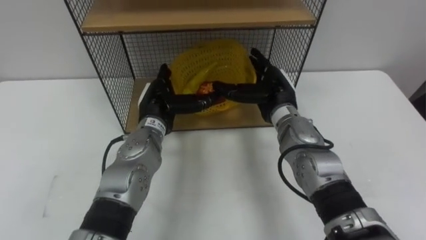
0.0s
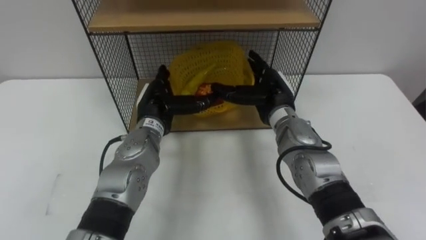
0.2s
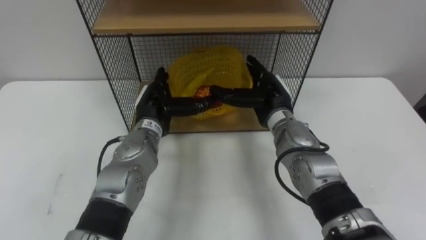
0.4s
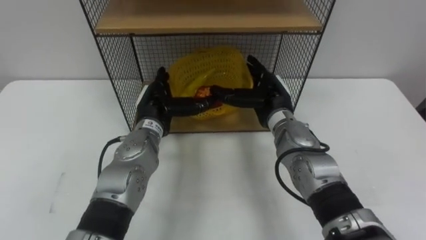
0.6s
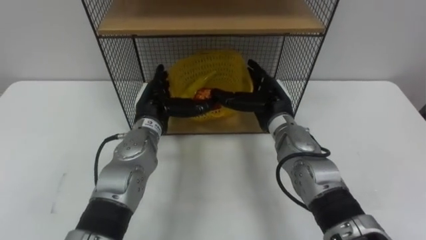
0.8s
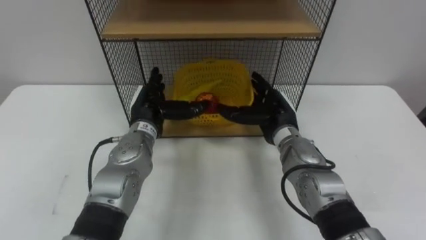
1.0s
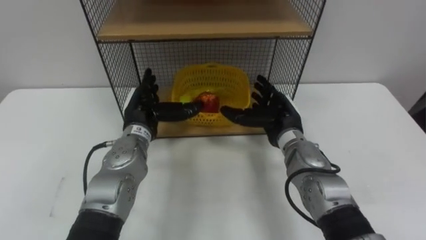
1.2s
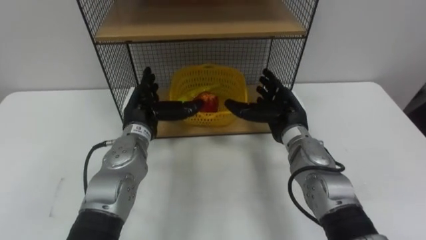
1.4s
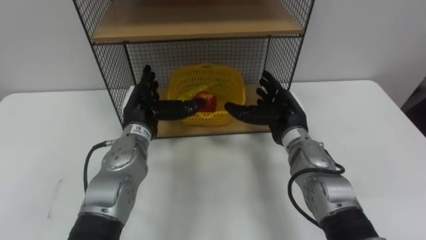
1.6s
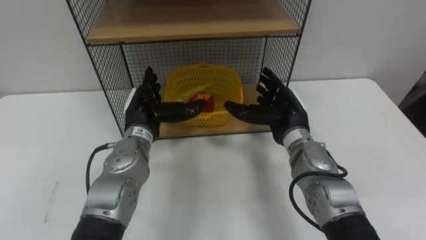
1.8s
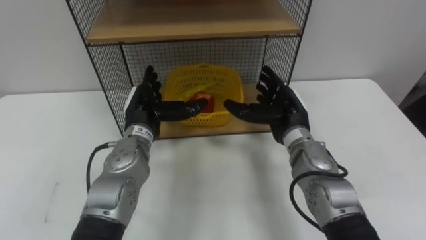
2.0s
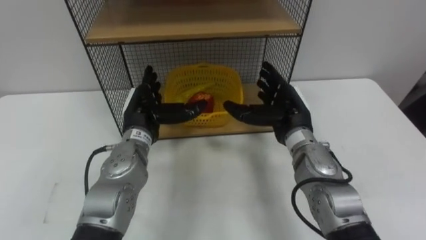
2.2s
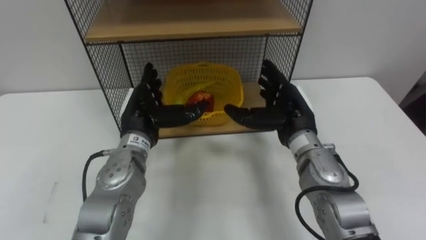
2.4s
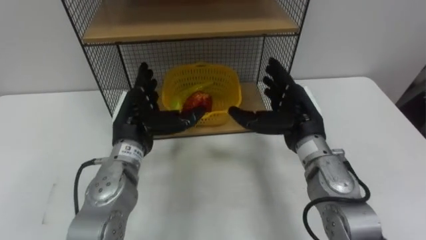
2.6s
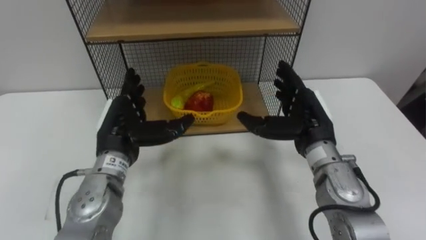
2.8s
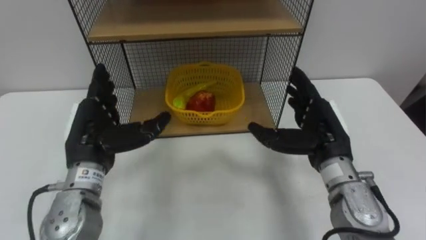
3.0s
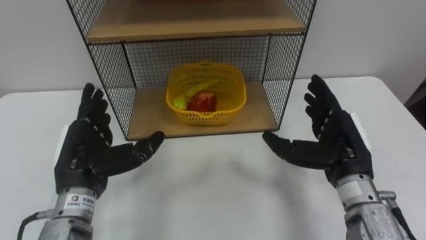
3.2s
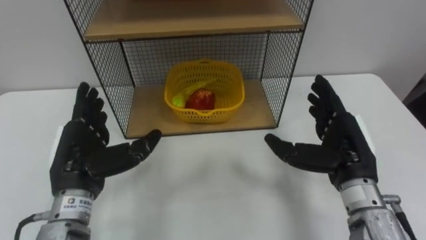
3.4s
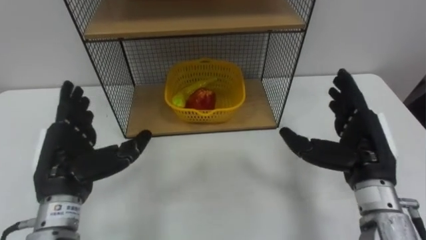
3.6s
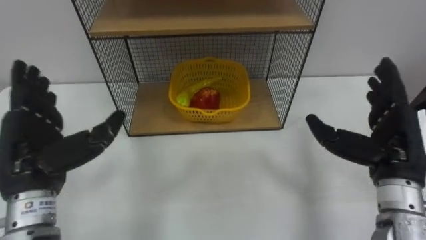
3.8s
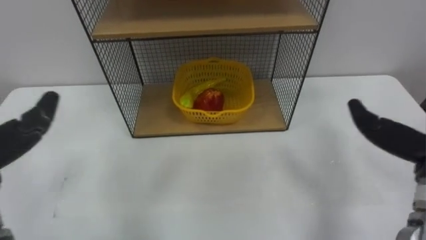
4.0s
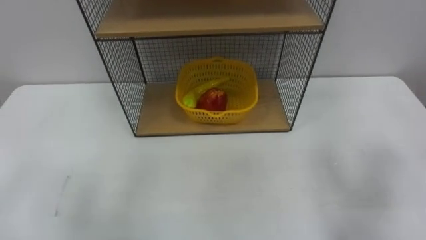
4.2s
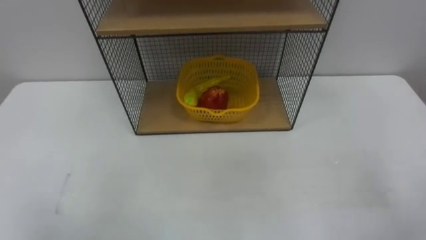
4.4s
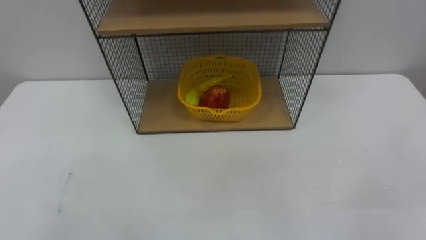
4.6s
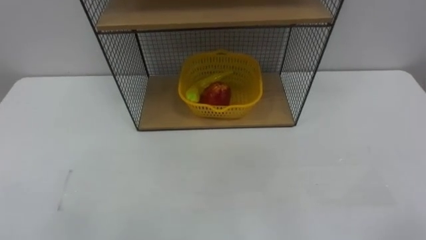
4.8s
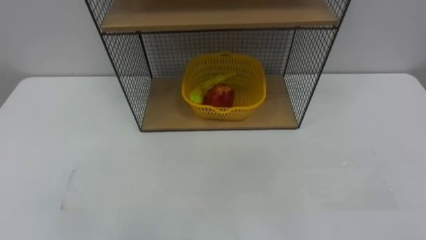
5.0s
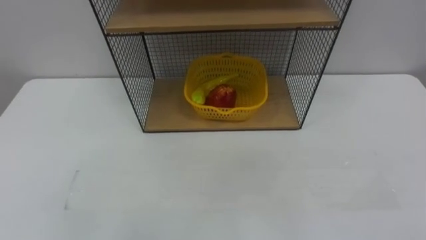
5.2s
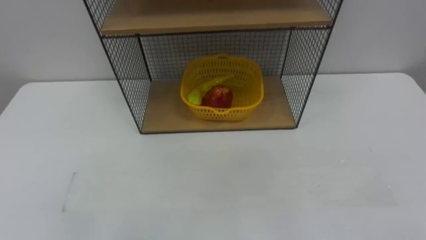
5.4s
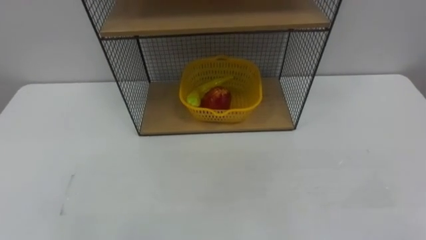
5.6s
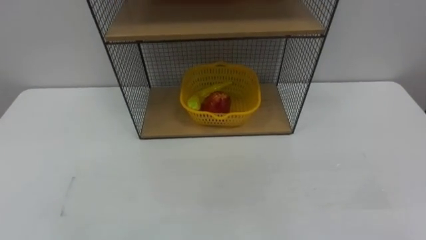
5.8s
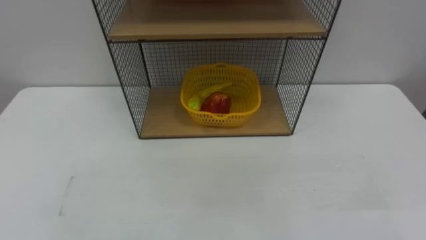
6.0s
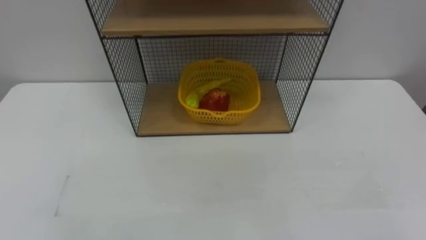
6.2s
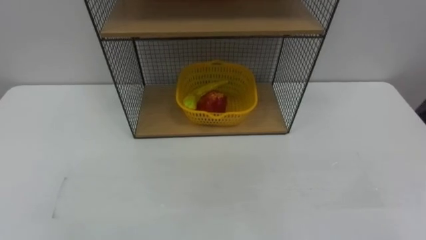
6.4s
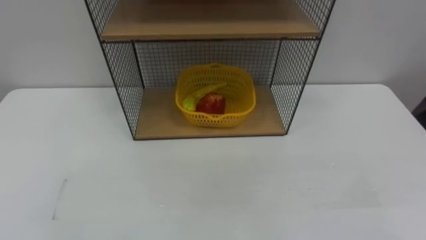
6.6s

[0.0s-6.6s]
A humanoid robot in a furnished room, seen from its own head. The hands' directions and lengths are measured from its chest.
Task of the whole recording: Put the fruit on the table into the basket, then place the basket on the shelf.
0.0s to 1.6s: The right hand changes place by roughly 5 cm.
1.6s to 3.2s: The right hand heads backward, to the right and upward, covering some 15 cm, while the left hand goes some 15 cm backward and to the left.

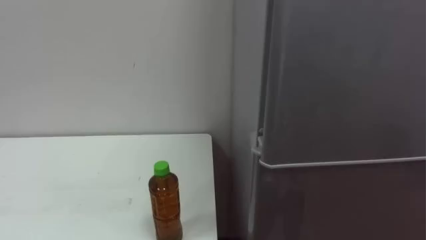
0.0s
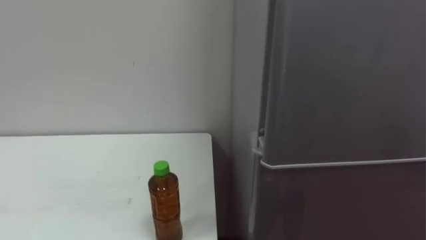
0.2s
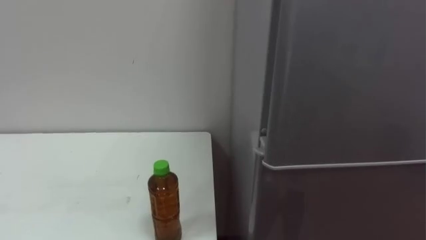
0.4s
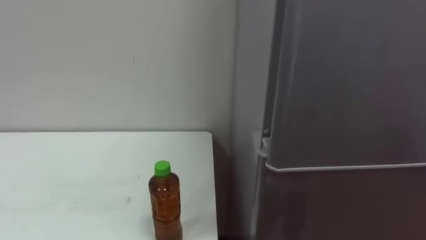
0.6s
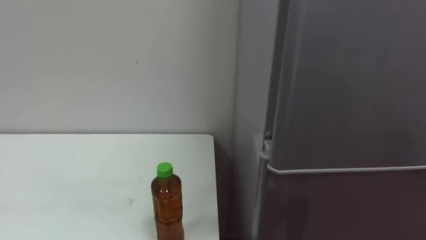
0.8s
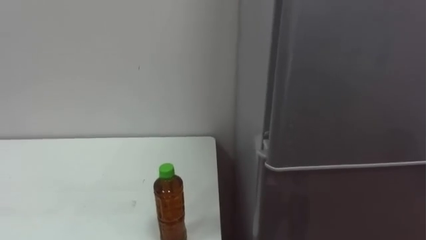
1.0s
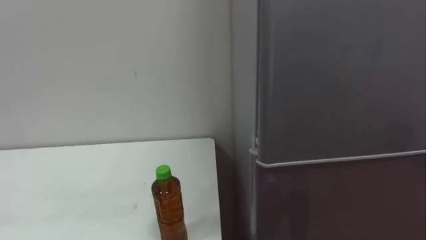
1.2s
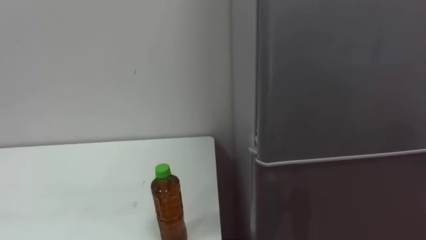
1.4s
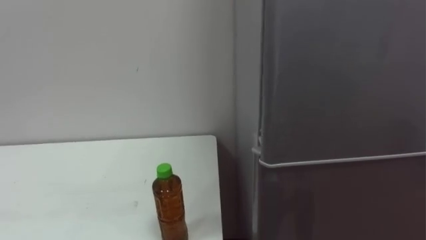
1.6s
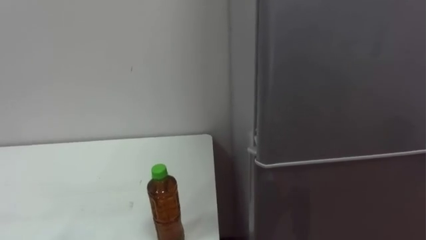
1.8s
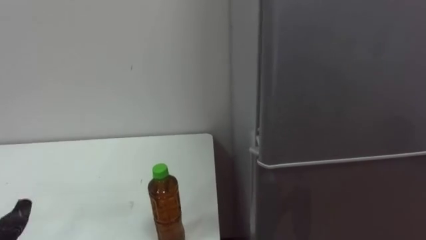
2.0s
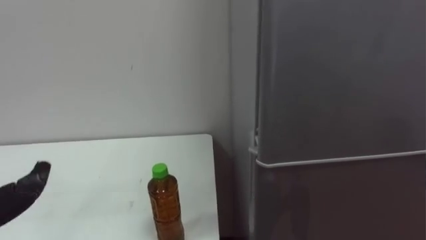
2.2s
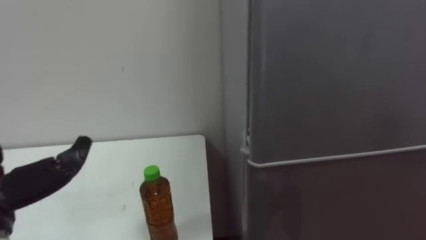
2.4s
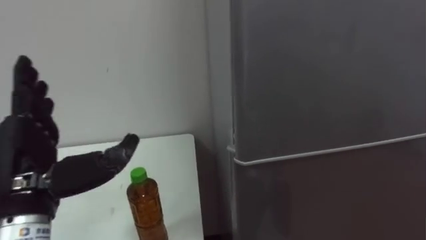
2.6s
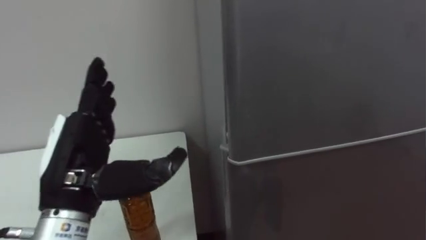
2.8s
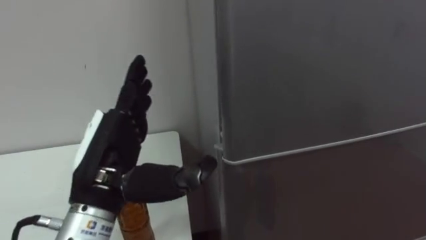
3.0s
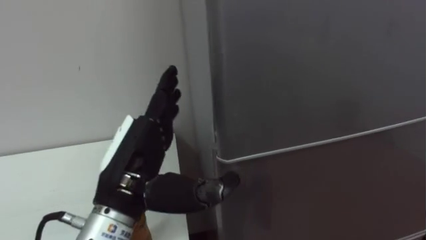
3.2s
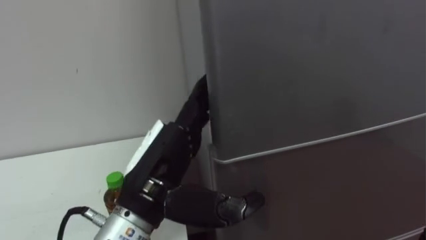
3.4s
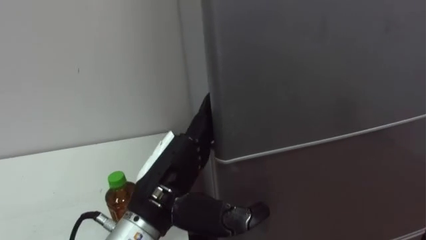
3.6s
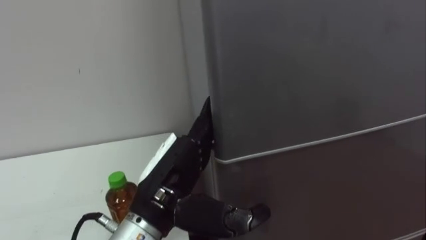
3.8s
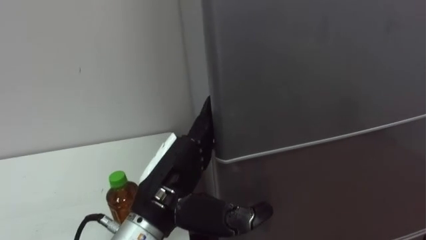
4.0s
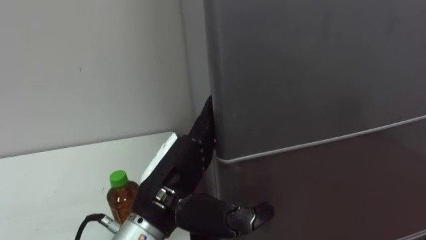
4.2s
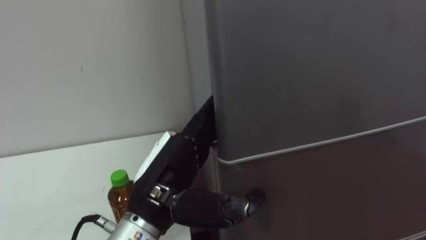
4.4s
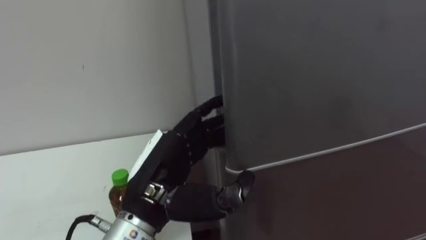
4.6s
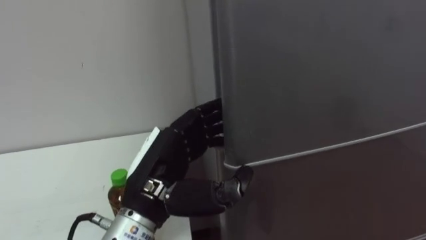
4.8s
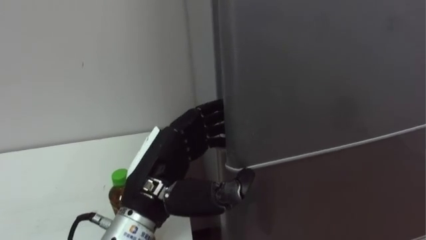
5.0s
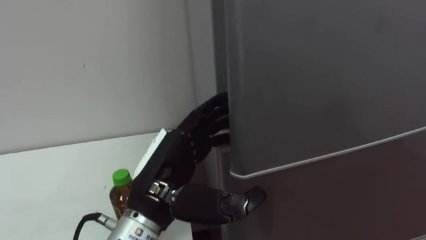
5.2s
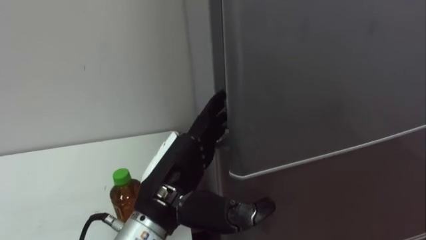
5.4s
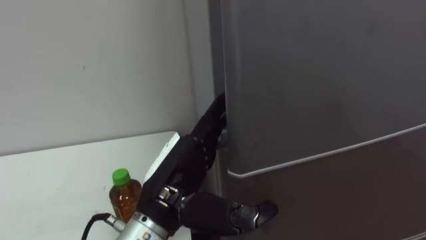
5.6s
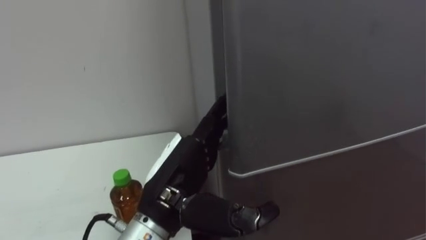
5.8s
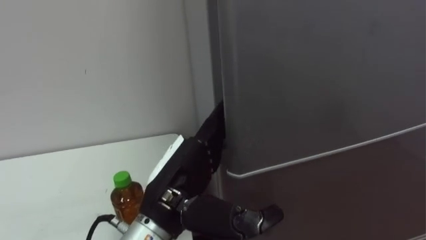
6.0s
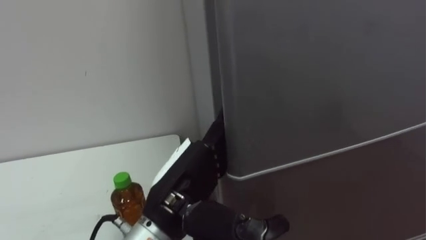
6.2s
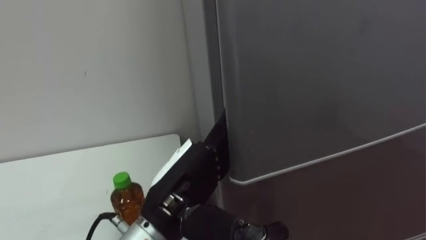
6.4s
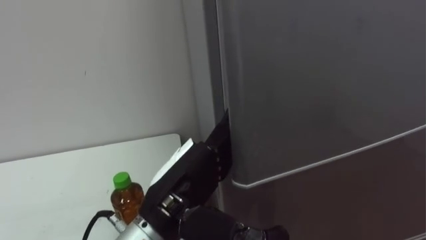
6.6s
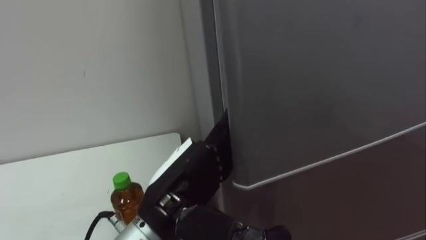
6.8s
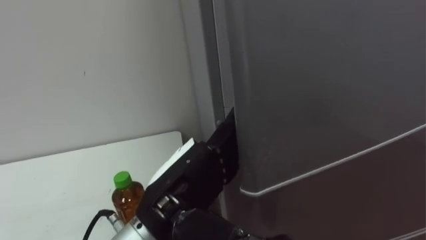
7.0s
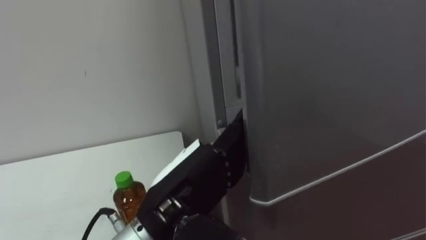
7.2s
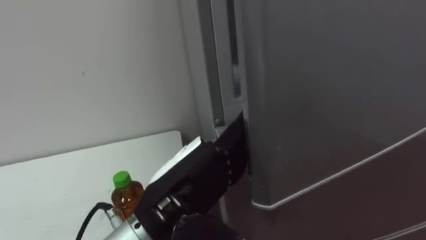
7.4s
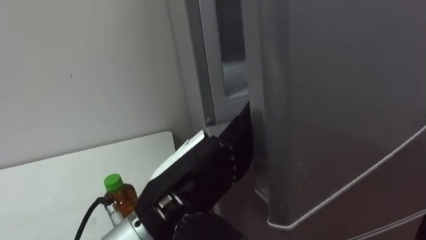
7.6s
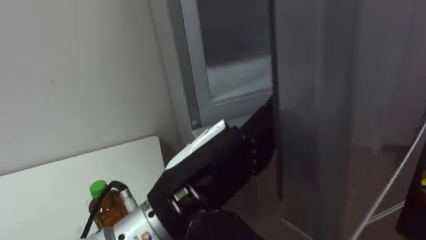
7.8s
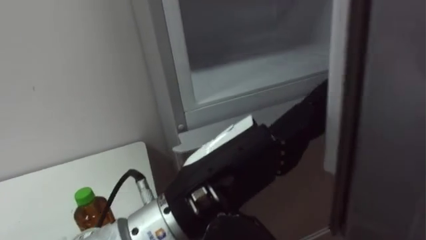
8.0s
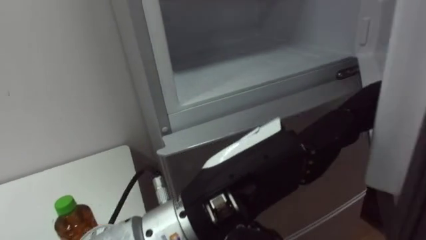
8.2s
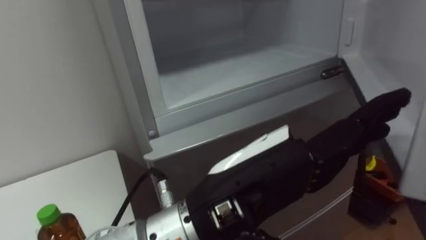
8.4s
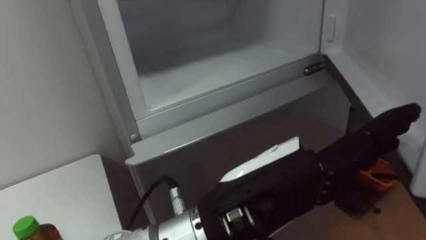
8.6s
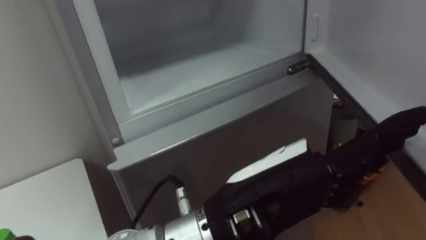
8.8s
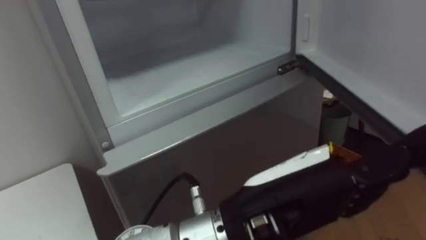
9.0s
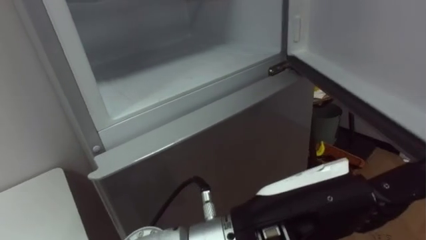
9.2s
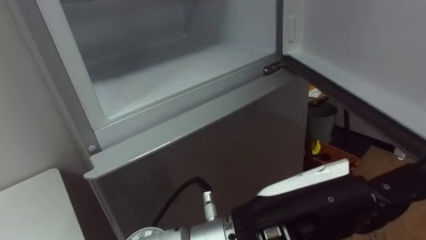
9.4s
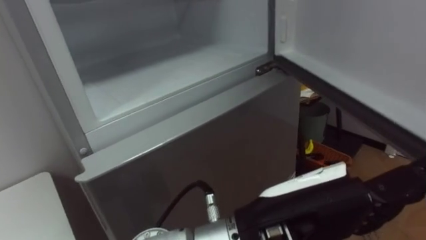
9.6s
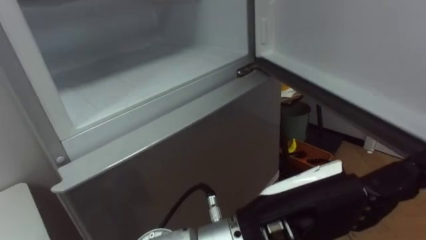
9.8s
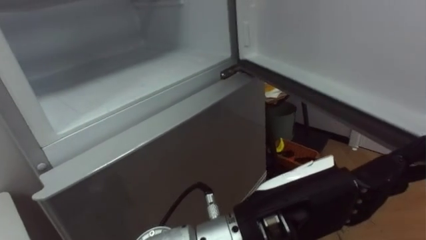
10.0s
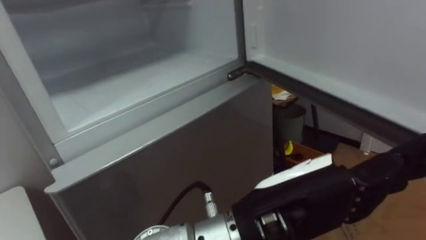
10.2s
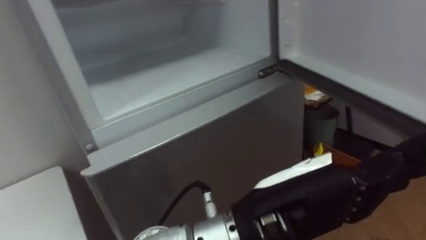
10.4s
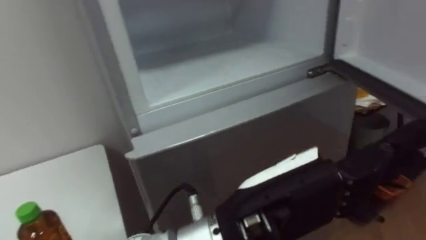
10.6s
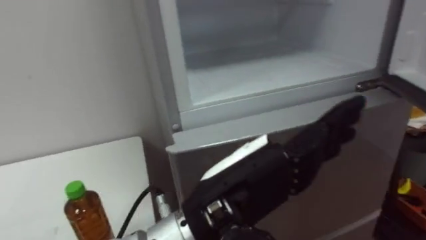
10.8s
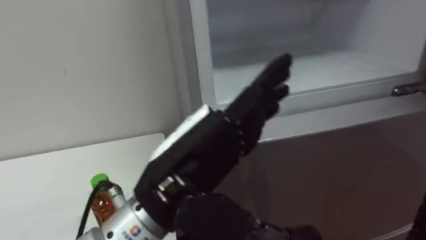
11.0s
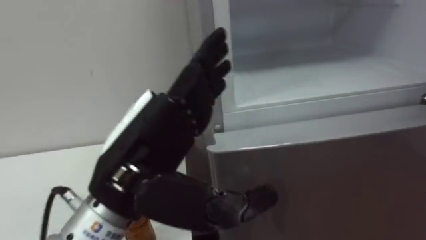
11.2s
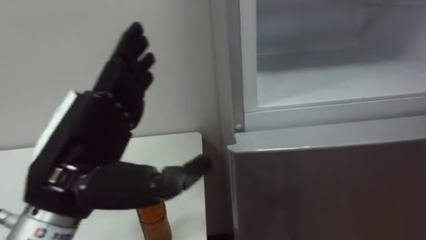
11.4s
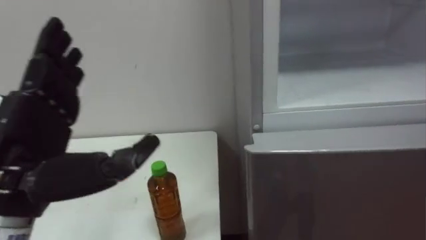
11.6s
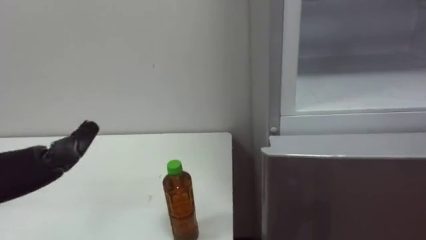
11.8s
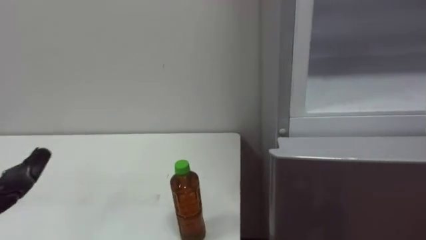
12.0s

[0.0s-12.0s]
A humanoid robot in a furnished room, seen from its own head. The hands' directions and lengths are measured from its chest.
Task of the whole recording: Open the upper refrigerator door, put the drink from the table into the refrigerator, and then close the refrigerator door.
3.0s to 4.4s: The left hand is displaced to the right by roughly 5 cm.
6.0s to 7.6s: The left hand moves approximately 5 cm.
7.6s to 9.0s: The left hand heads to the right, covering roughly 10 cm.
